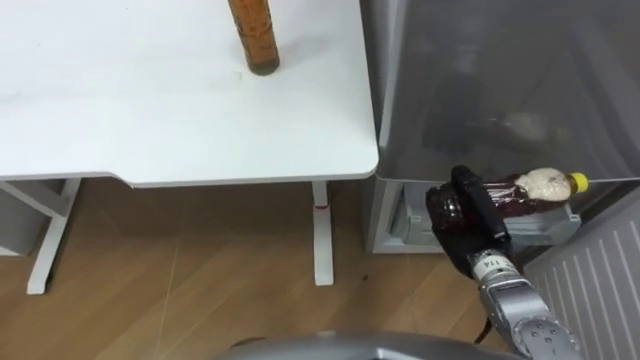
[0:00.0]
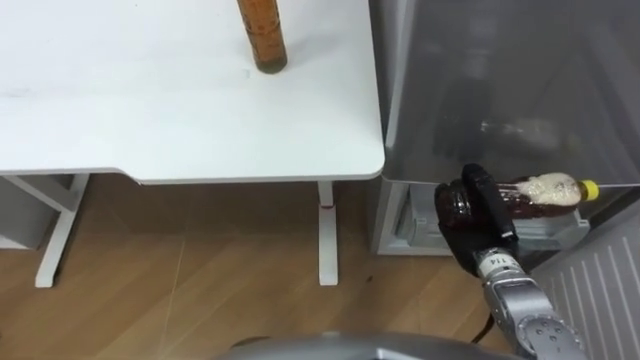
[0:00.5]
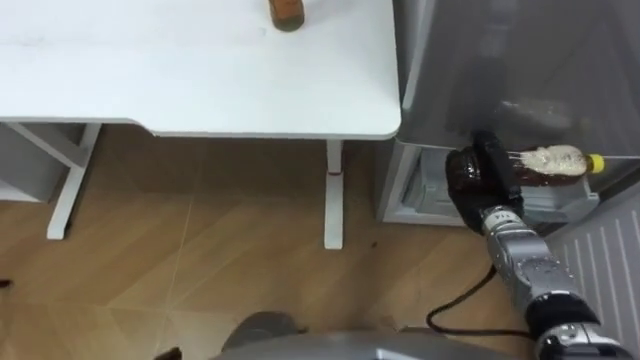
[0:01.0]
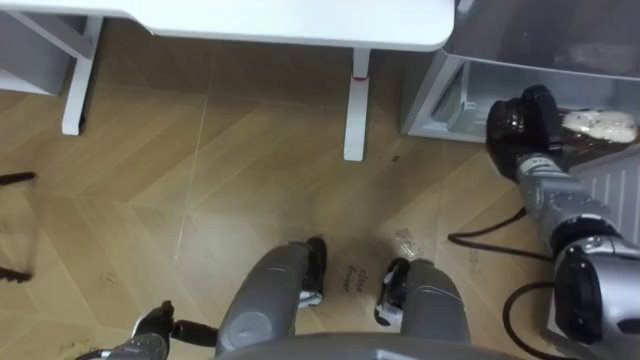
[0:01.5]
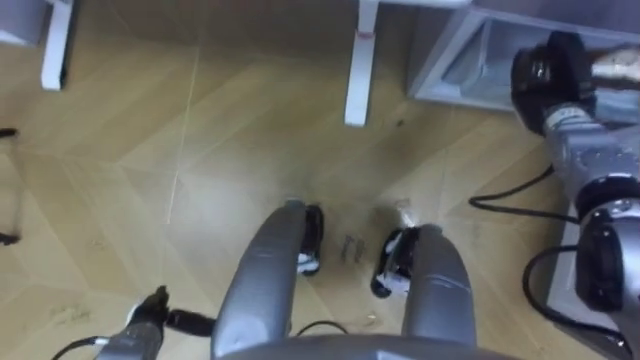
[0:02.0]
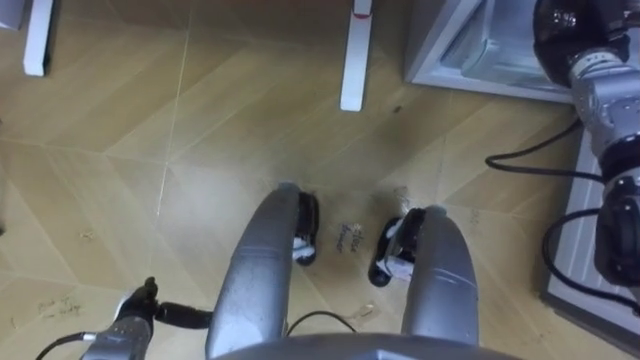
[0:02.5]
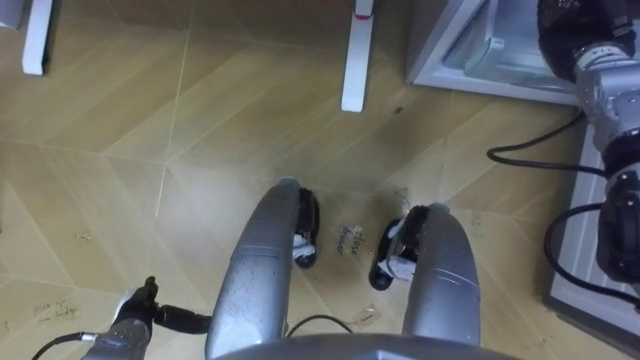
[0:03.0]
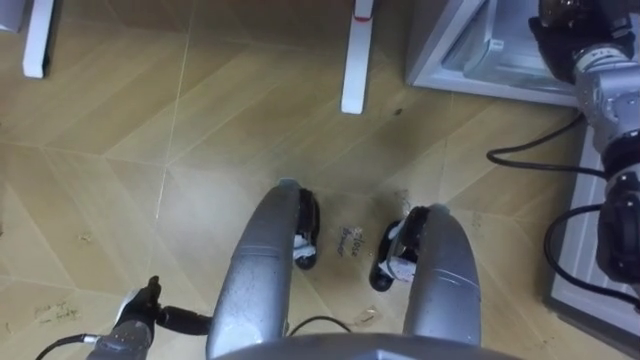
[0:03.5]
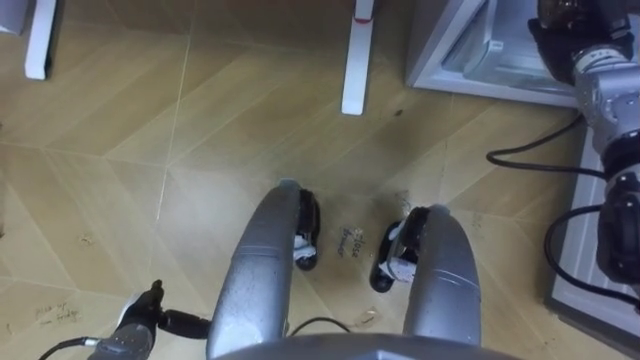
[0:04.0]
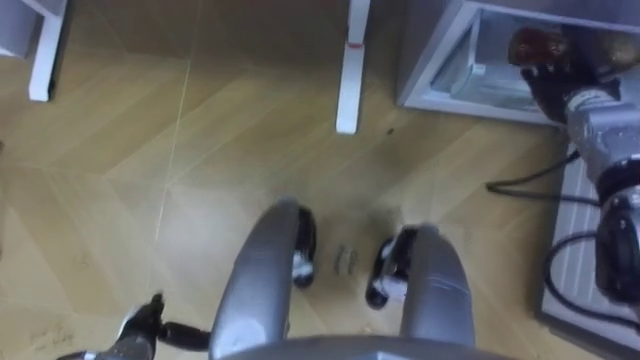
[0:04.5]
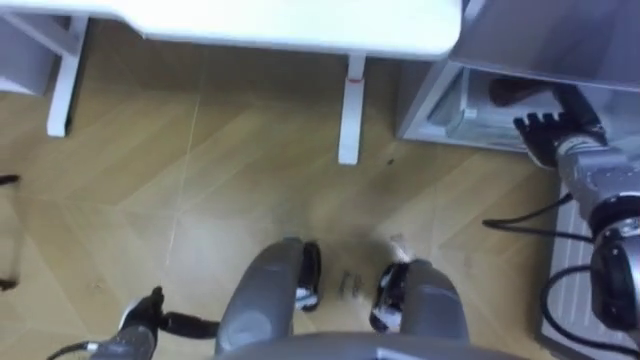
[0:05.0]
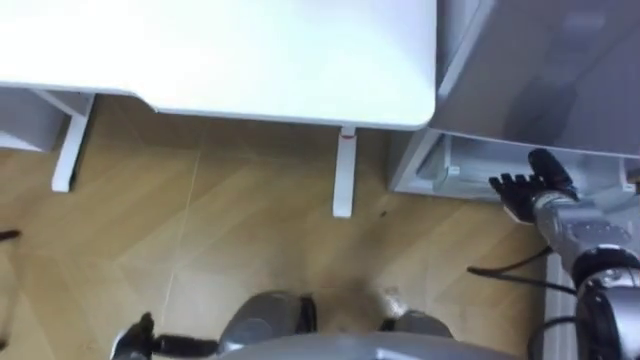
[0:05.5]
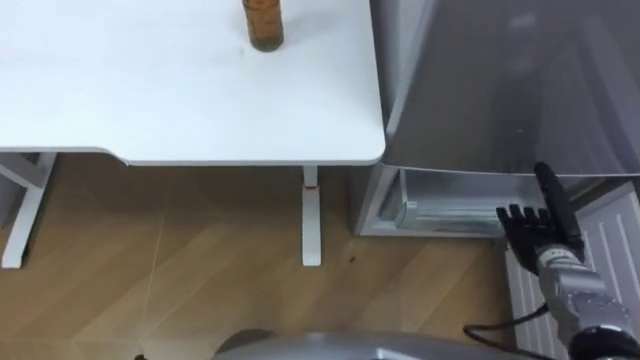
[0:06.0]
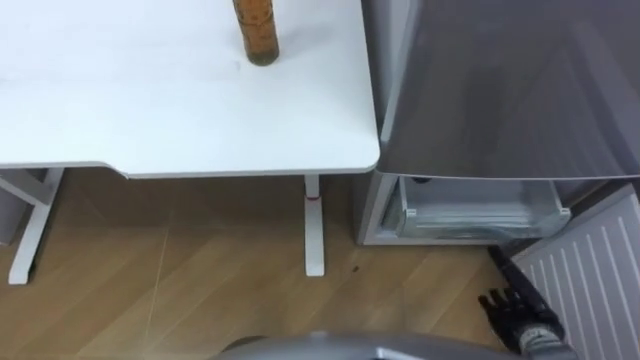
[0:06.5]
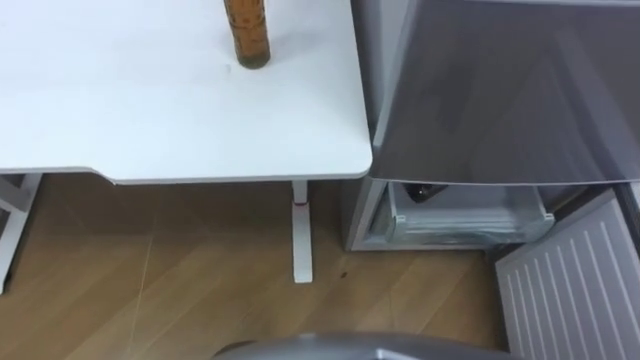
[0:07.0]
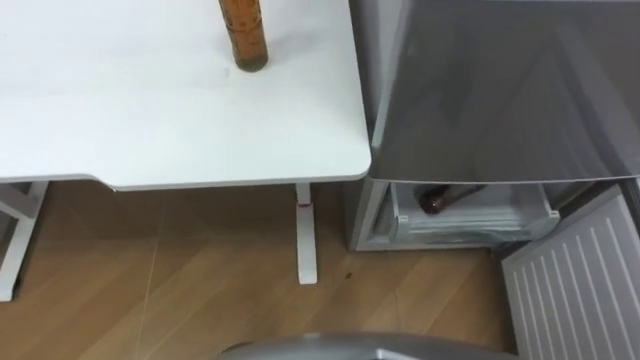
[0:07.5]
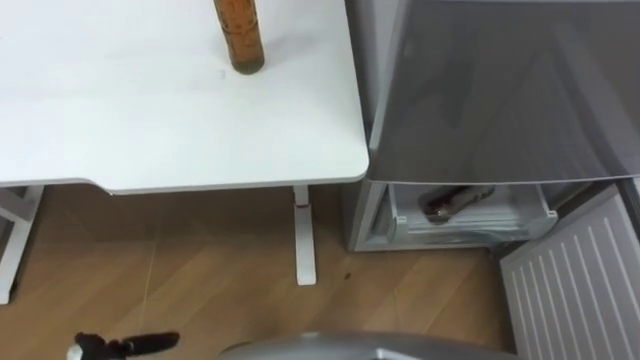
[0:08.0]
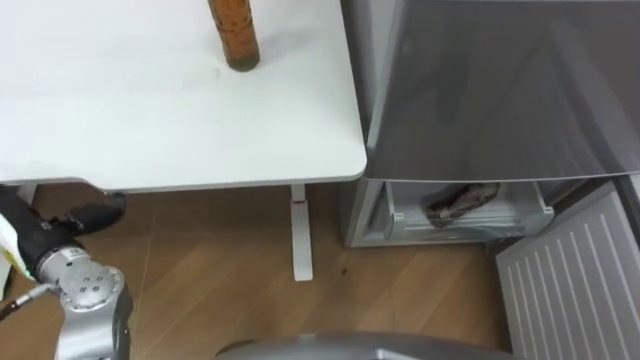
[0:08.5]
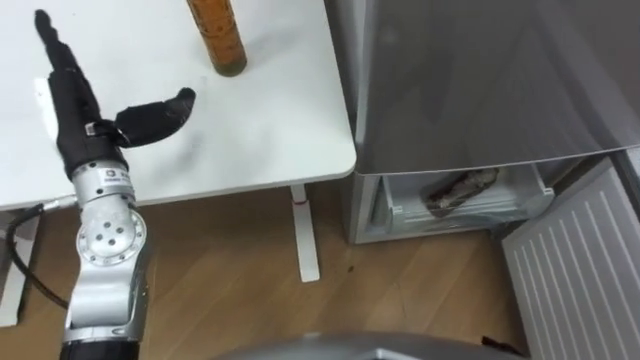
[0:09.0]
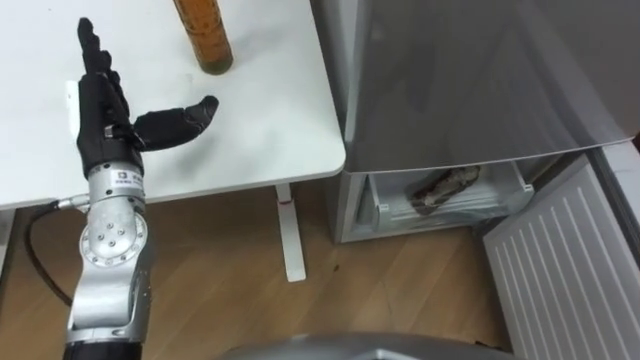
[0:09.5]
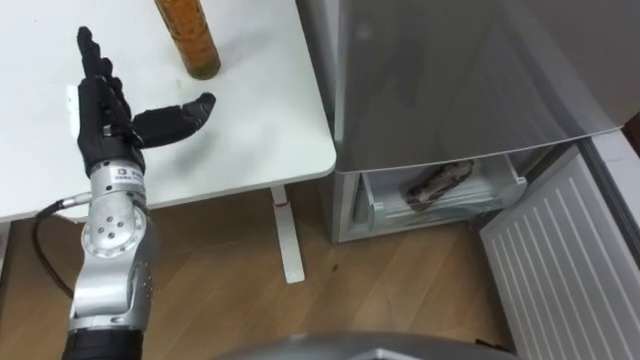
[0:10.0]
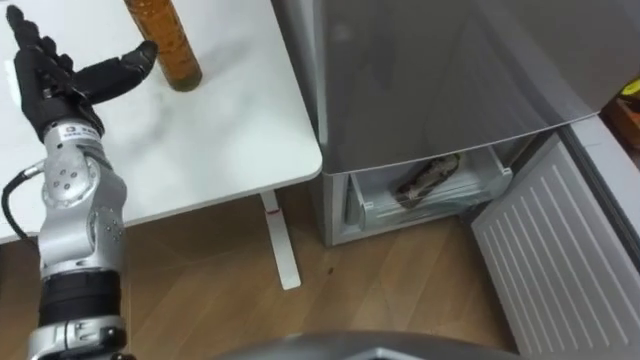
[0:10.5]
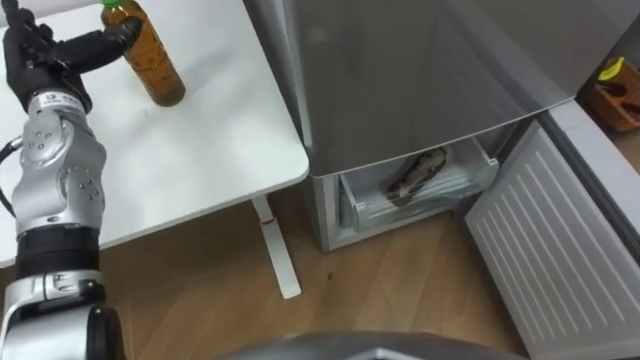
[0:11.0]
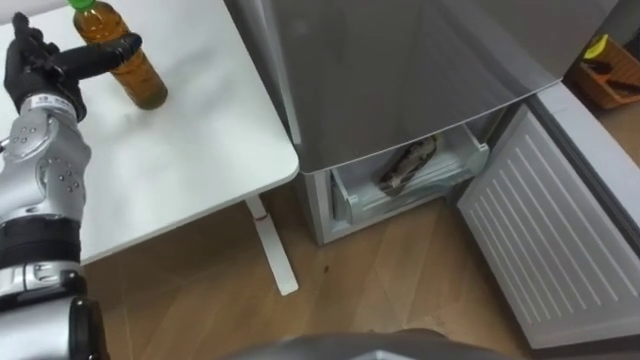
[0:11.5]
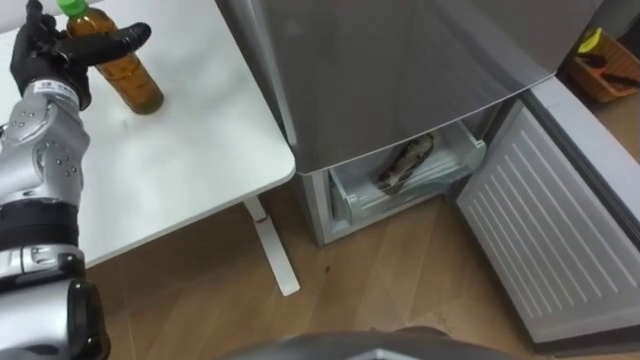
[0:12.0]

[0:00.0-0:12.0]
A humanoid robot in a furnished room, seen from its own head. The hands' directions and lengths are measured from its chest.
Task of the whole recording: Place the drink on the table on the bottom shelf of the refrigerator, then close the drawer and the refrigerator door.
0:00.0 to 0:02.0: The right hand travels forward, to the right and upward by some 20 cm.
0:02.0 to 0:04.0: The right hand travels upward by approximately 5 cm, and opens up.
0:04.0 to 0:06.0: The right hand travels backward and downward by approximately 25 cm.
0:10.0 to 0:12.0: The left hand travels forward and to the left by about 10 cm.

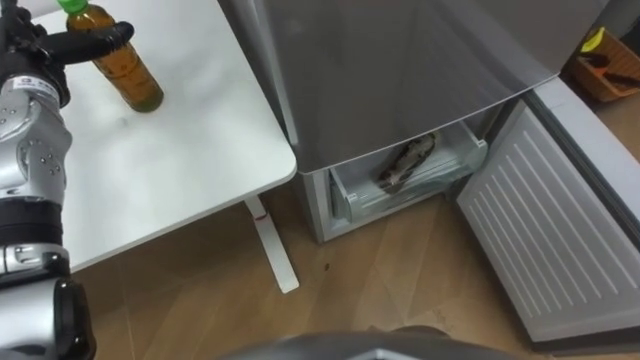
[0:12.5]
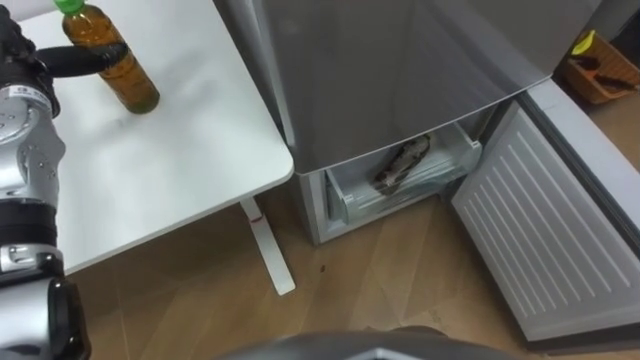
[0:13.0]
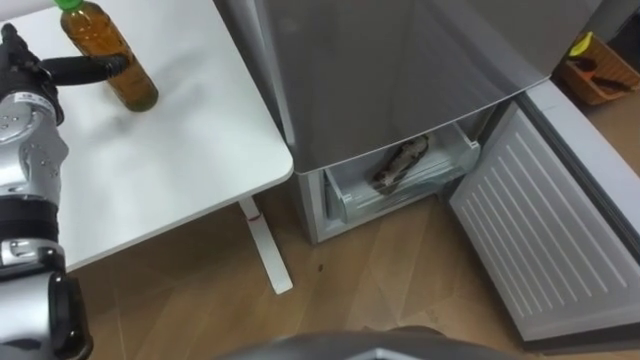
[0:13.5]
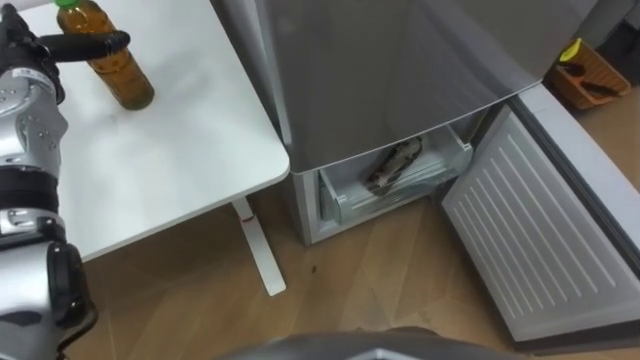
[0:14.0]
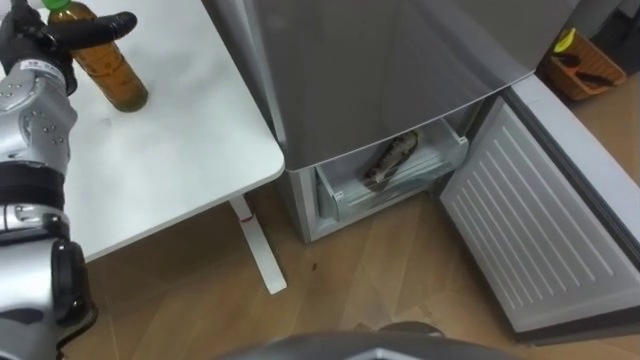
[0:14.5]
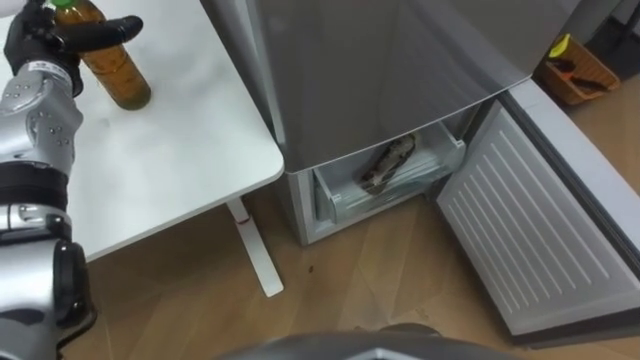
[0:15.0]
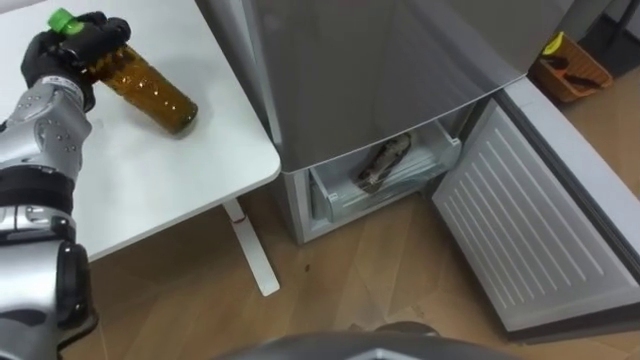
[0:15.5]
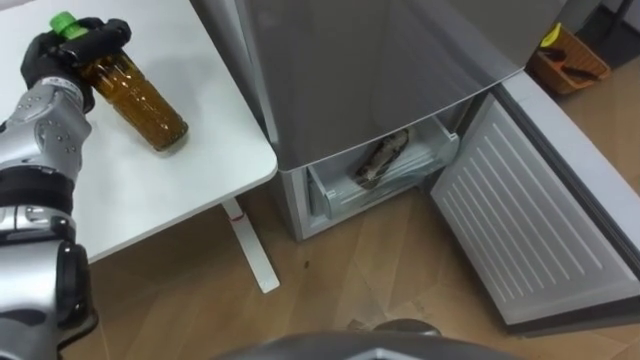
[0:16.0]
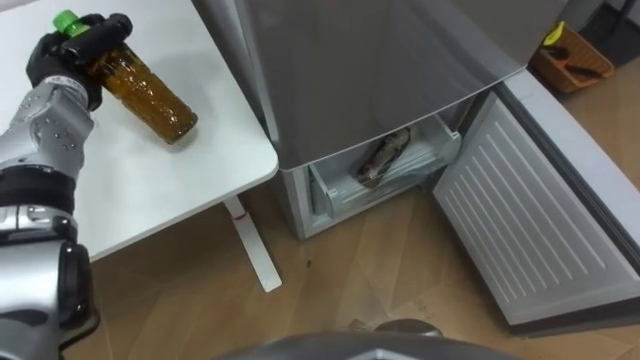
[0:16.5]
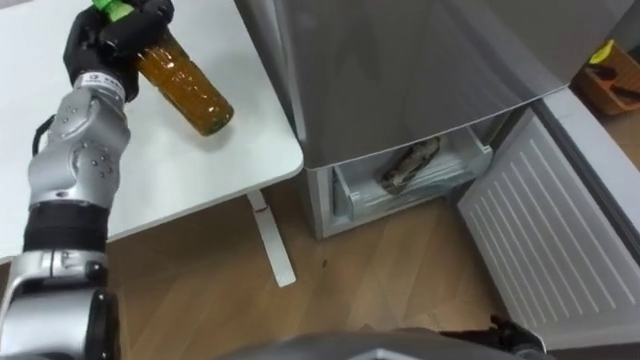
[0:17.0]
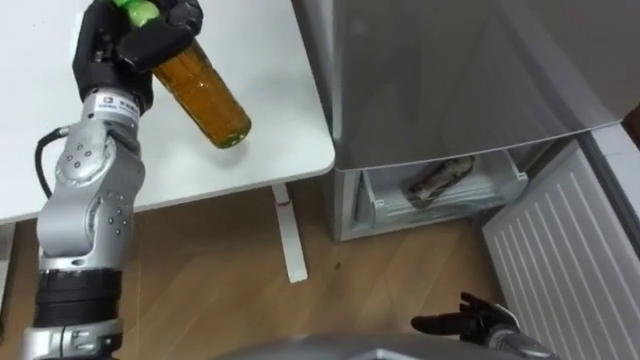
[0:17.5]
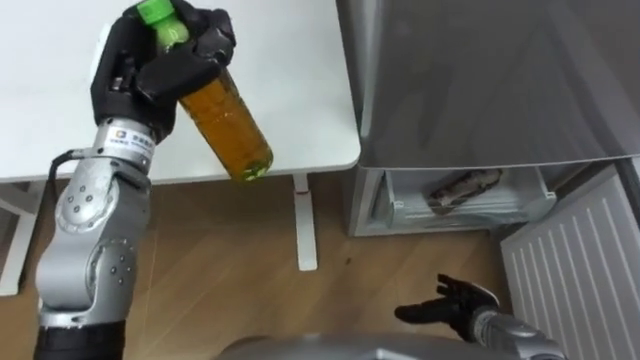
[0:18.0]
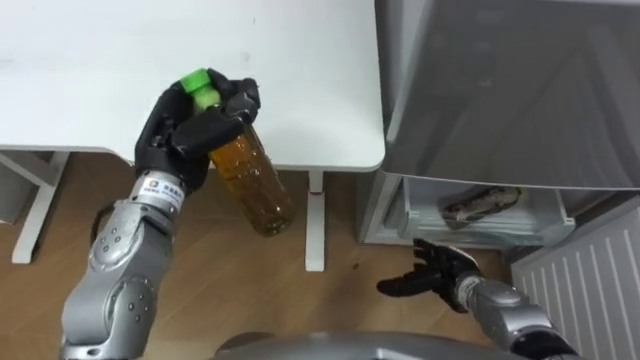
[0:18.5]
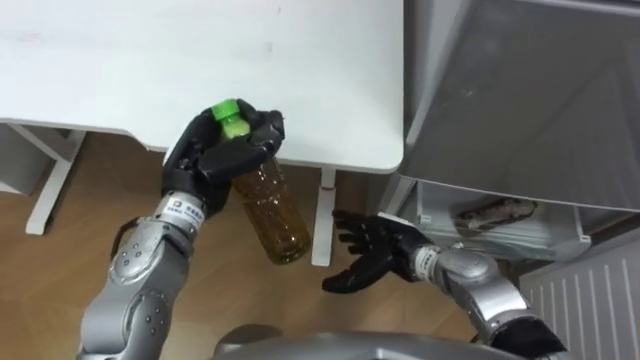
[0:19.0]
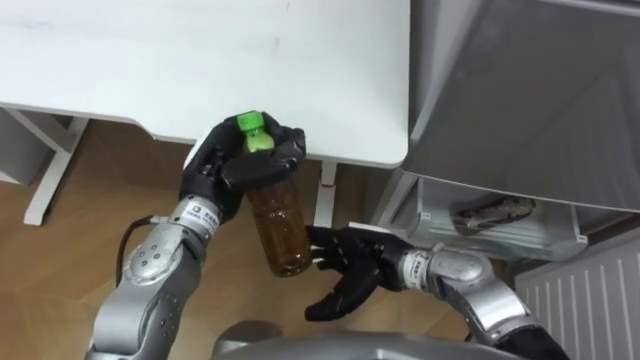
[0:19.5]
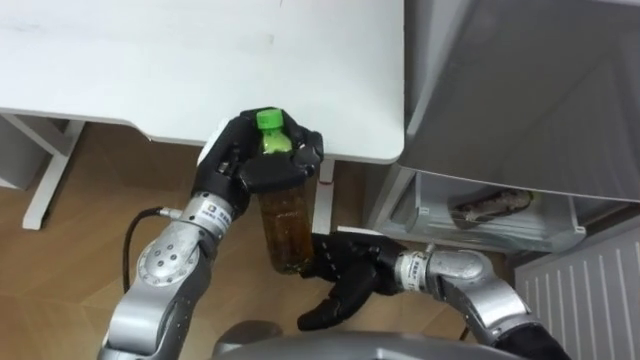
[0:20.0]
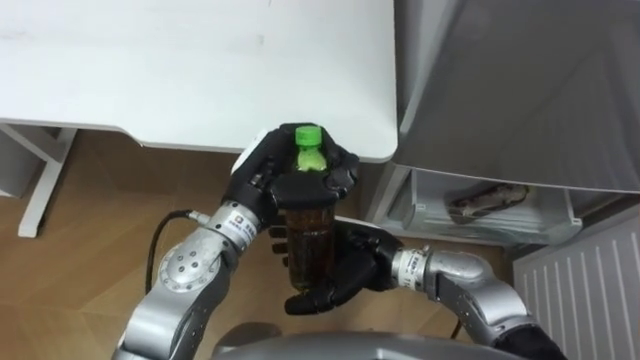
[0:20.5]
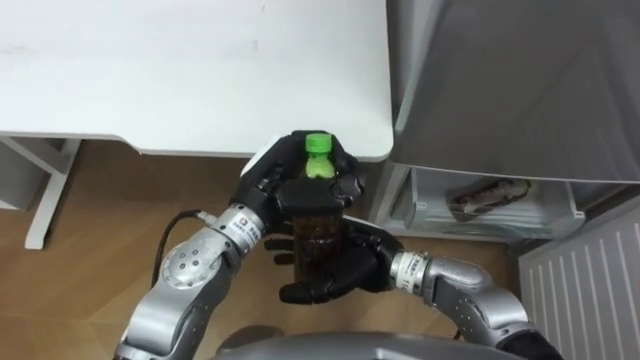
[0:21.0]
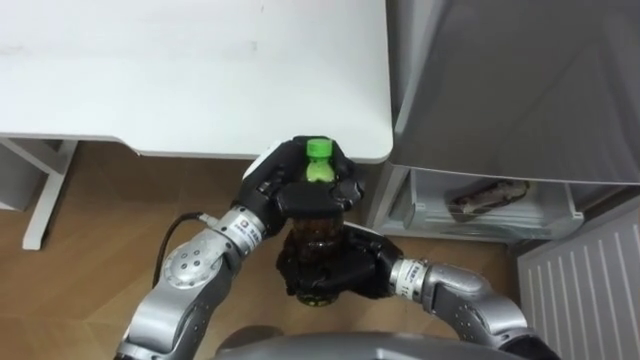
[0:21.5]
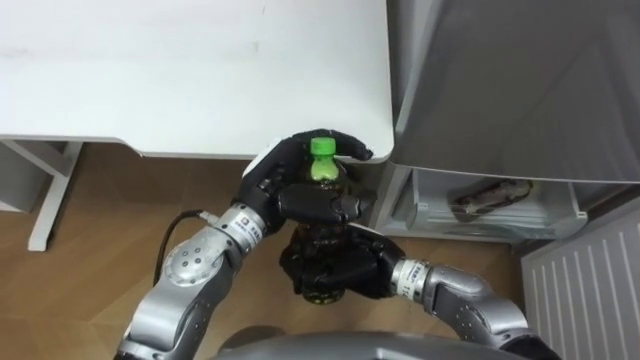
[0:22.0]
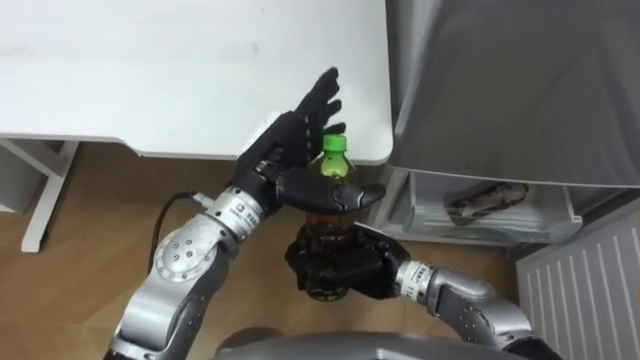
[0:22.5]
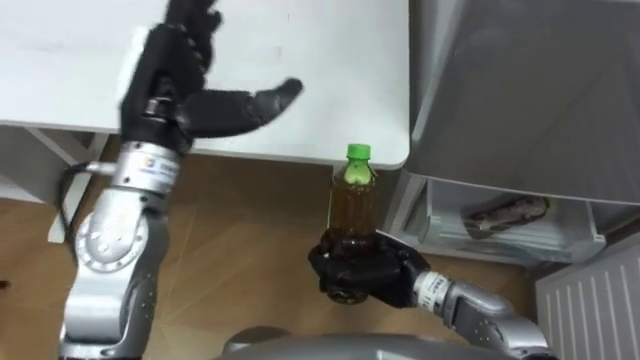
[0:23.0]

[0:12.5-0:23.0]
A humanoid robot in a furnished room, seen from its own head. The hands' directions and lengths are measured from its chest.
Task of the whole recording: Place the drink on the table on the bottom shelf of the refrigerator, then close the drawer and the refrigerator door.
0:14.5 to 0:16.5: The left hand closes.
0:16.5 to 0:19.0: The left hand moves to the right and backward, roughly 20 cm.
0:19.0 to 0:21.0: The right hand shifts approximately 10 cm to the left and upward; the left hand is displaced to the right by some 10 cm.
0:21.0 to 0:23.0: The right hand moves approximately 5 cm, and closes up; the left hand shifts approximately 15 cm upward and to the left, and opens its fingers.
